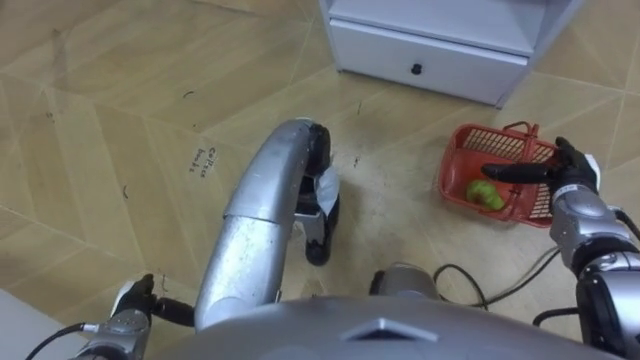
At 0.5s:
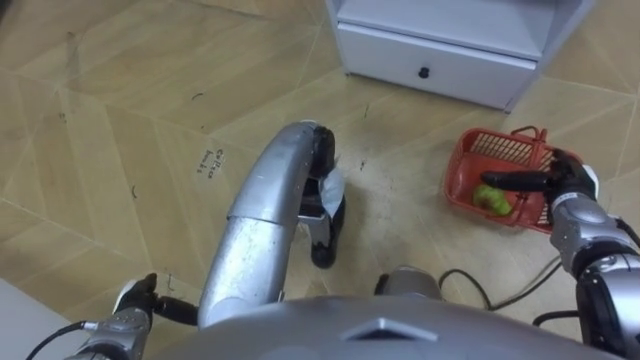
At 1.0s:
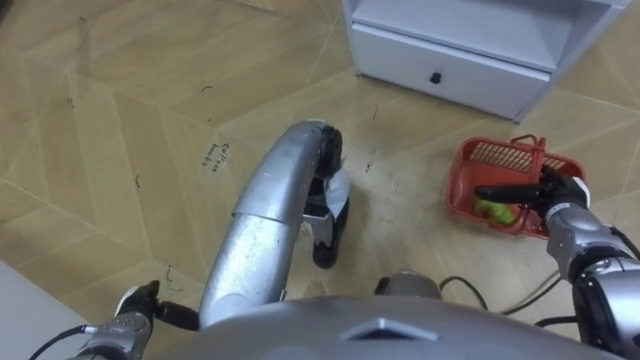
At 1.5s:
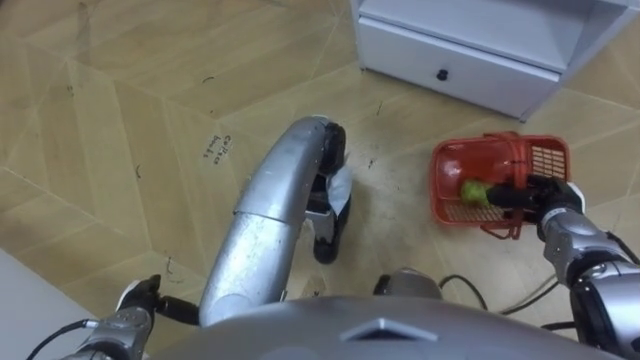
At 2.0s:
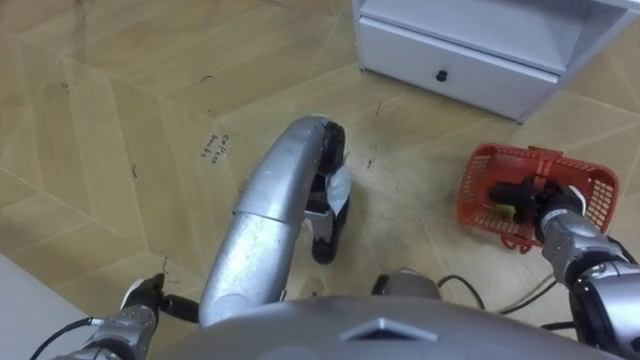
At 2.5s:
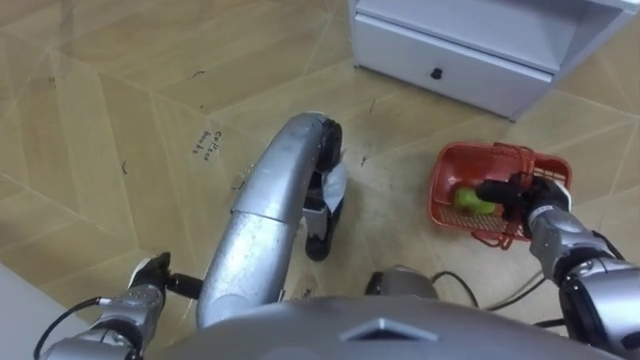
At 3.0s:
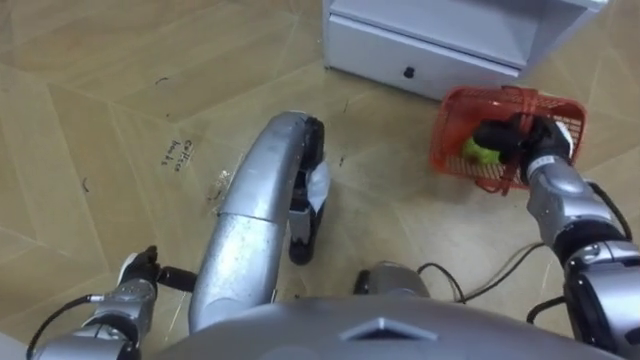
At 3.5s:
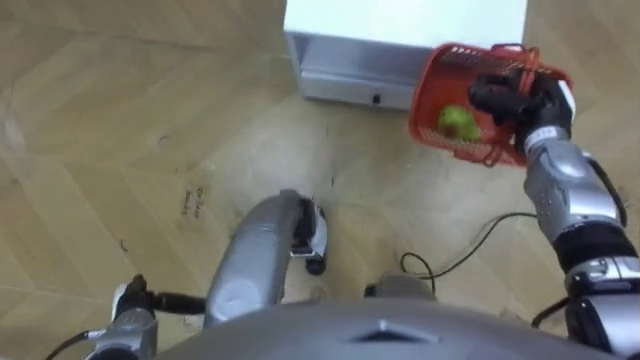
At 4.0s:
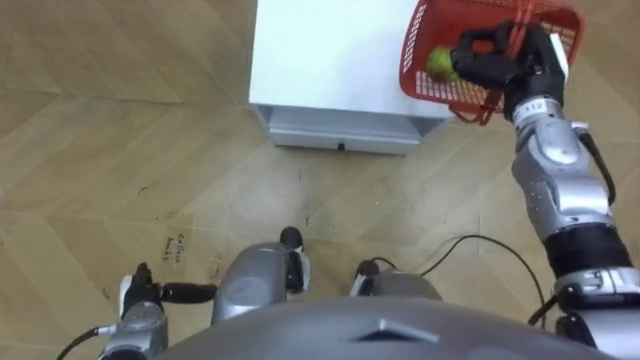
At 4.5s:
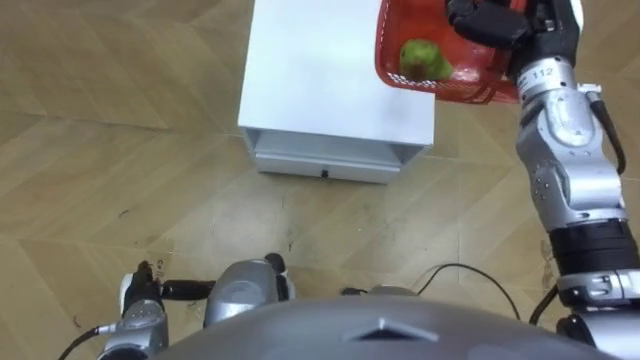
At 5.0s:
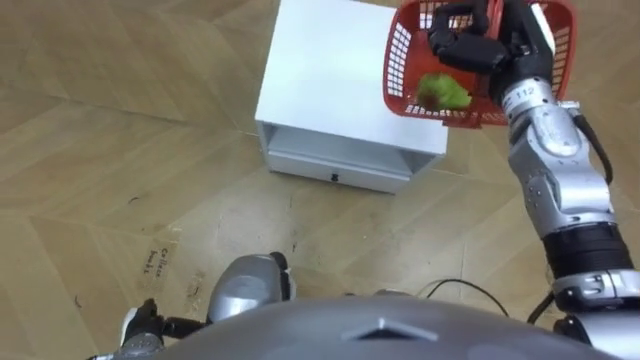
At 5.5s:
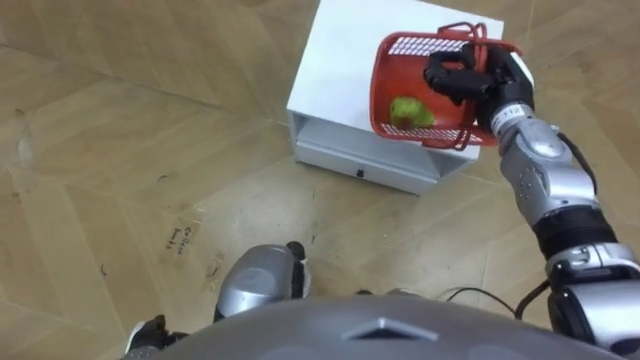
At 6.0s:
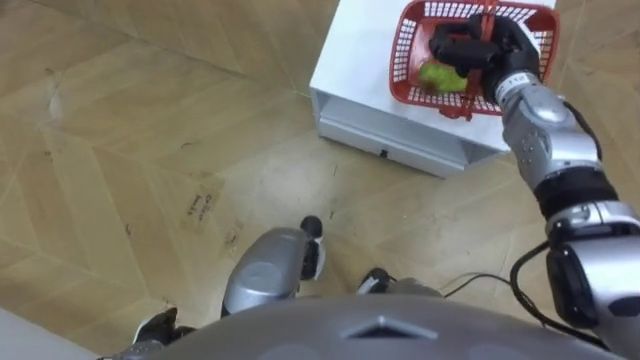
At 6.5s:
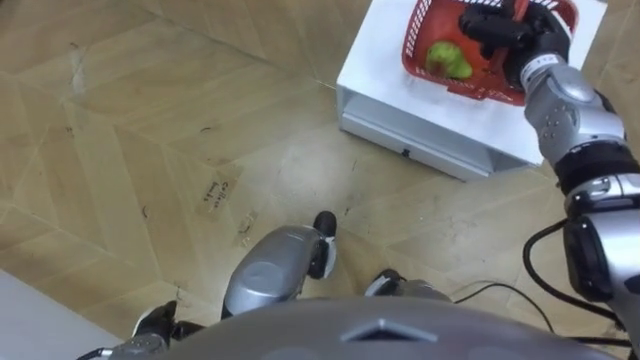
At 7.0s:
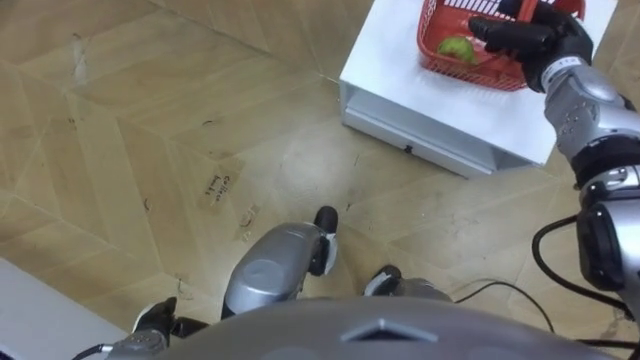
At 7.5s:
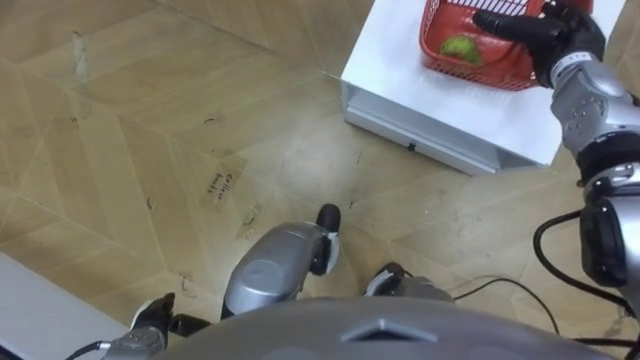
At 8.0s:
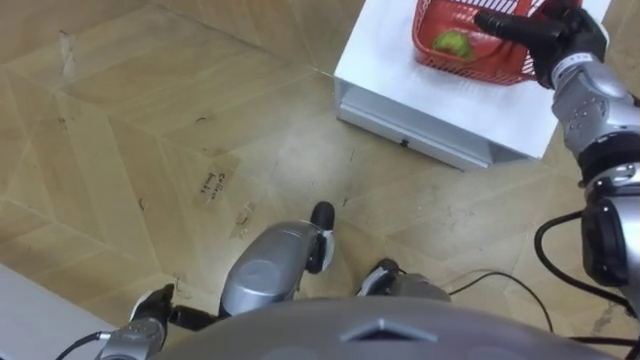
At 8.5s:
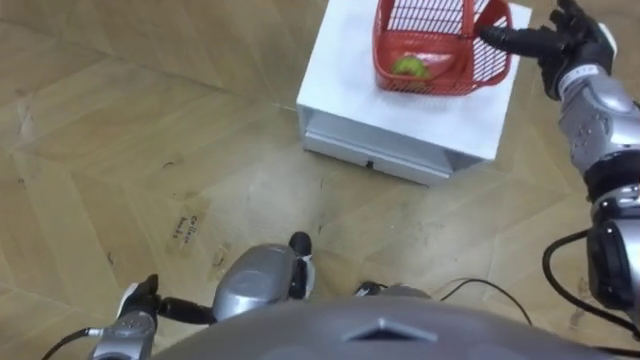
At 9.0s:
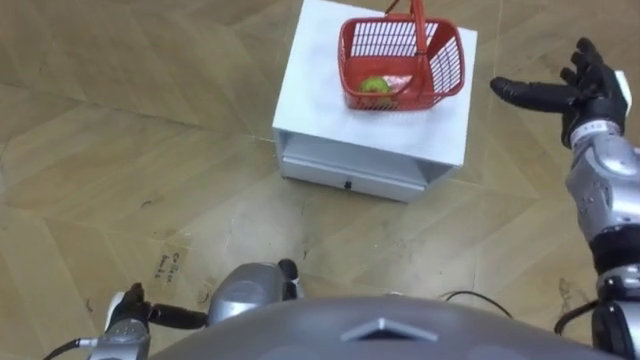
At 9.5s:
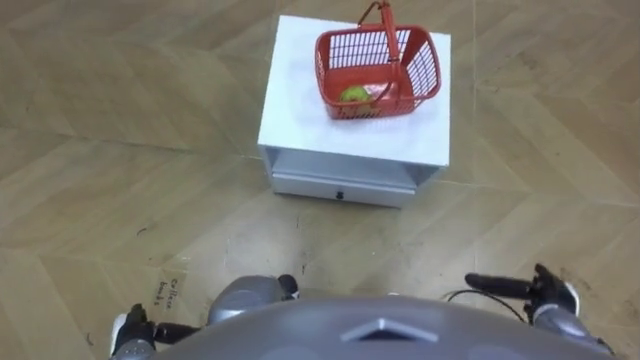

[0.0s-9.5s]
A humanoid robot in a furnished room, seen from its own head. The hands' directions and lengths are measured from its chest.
Task of the whole recording: Pick up the fruit basket from the floor and place it on the cabinet.
0.0s to 2.0s: The right hand closes up.
2.0s to 4.0s: The robot faces about 20 degrees further to its right. The right hand is displaced upward, forward and to the left by roughly 20 cm.
4.0s to 5.5s: The right hand reaches some 5 cm upward, then returns, while the left hand goes some 5 cm backward.
5.5s to 7.5s: The right hand shifts roughly 5 cm to the right, and opens up.
7.5s to 9.5s: The right hand goes some 35 cm backward and downward.

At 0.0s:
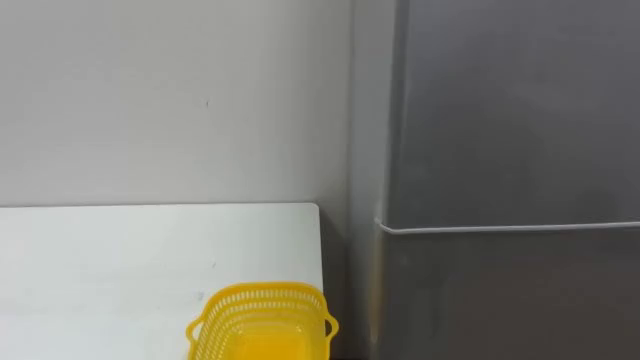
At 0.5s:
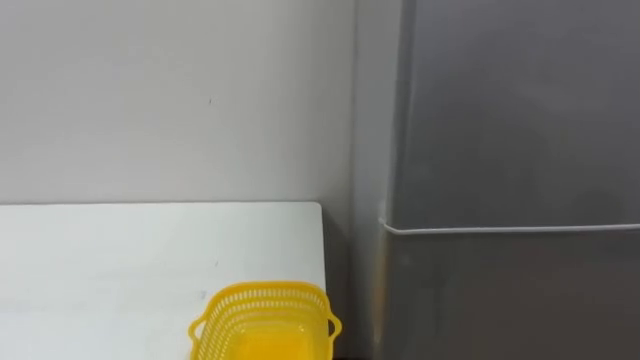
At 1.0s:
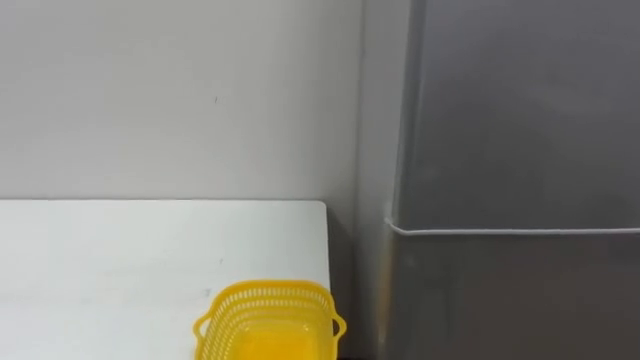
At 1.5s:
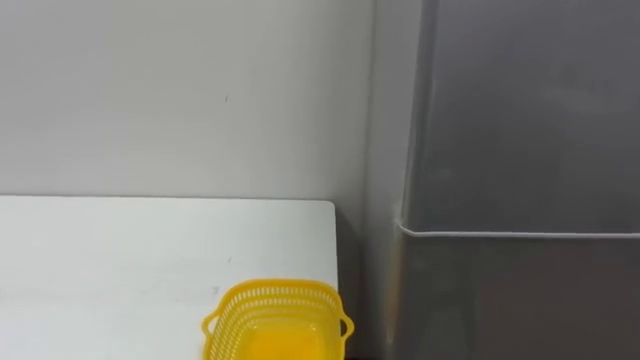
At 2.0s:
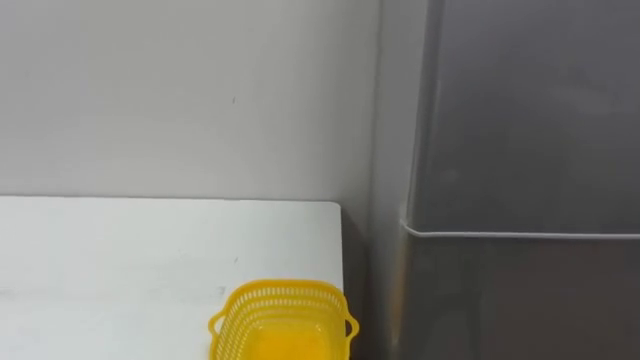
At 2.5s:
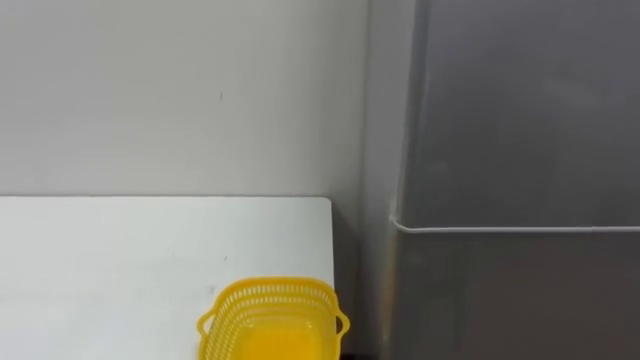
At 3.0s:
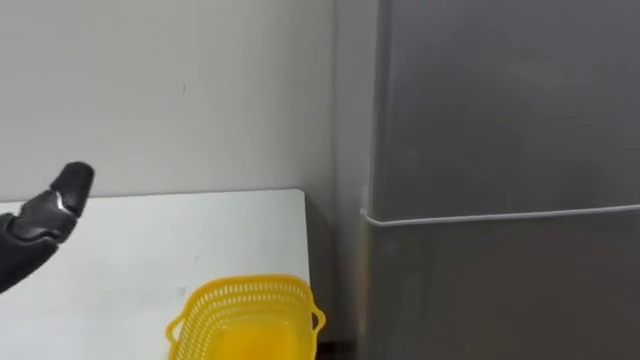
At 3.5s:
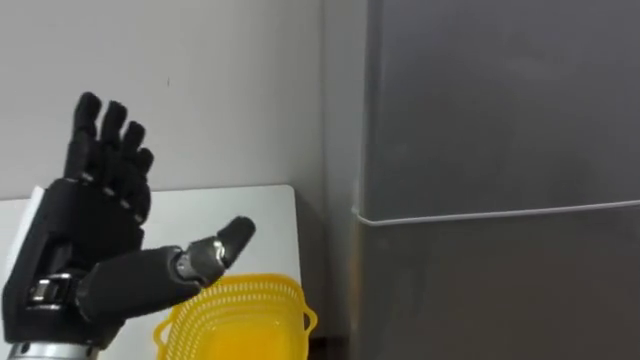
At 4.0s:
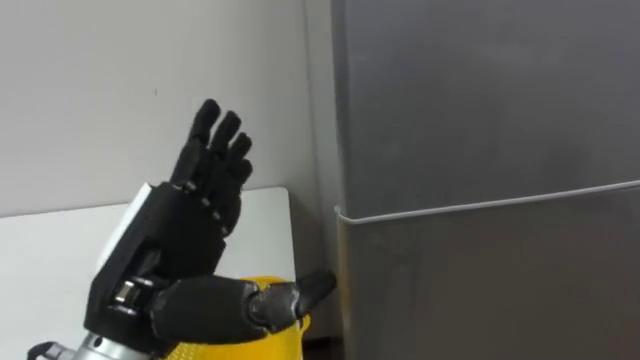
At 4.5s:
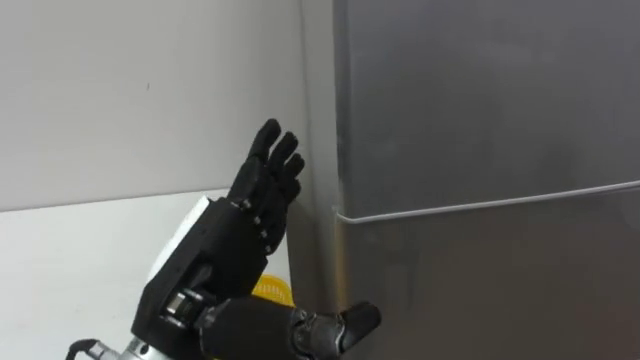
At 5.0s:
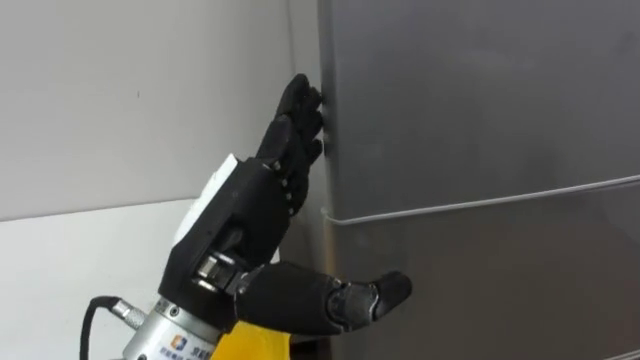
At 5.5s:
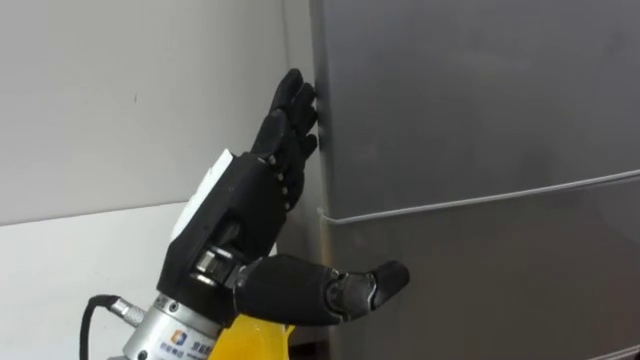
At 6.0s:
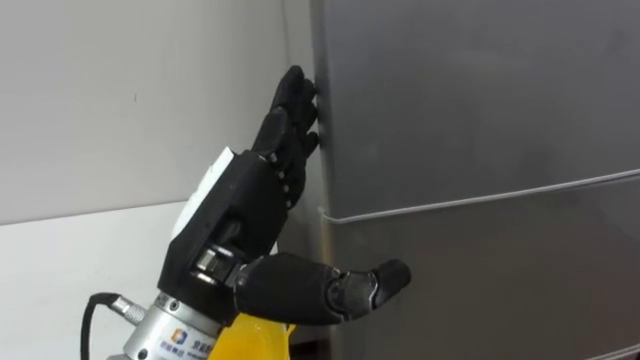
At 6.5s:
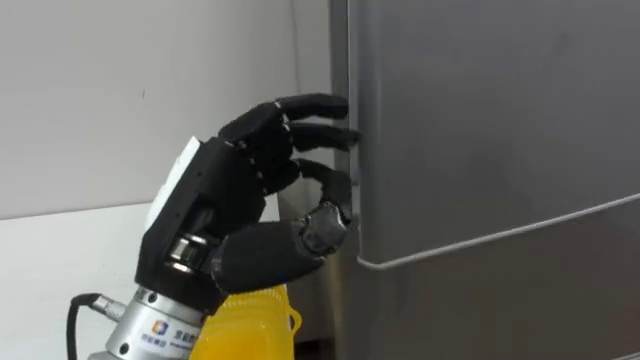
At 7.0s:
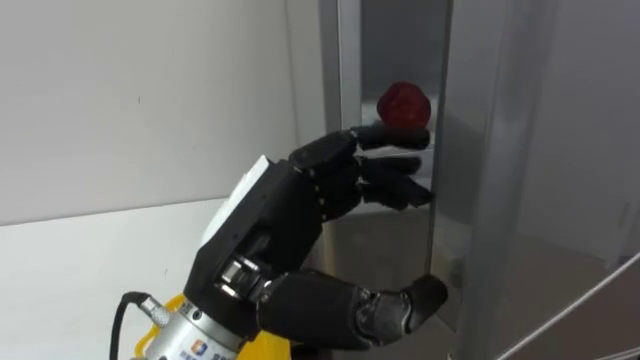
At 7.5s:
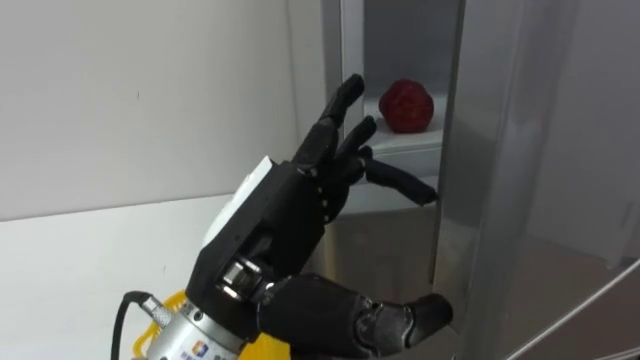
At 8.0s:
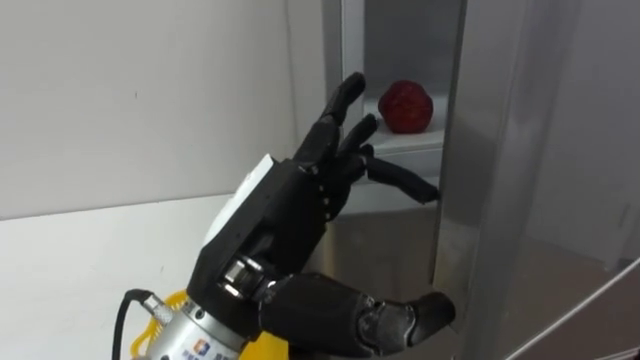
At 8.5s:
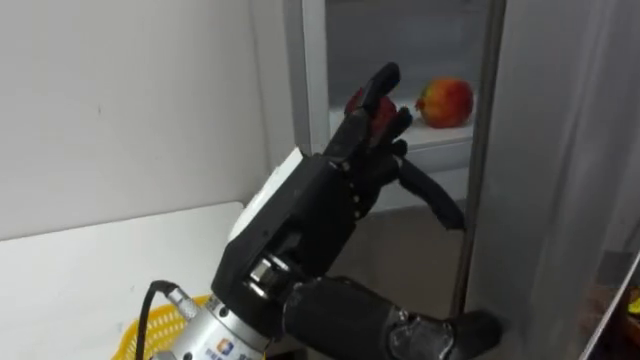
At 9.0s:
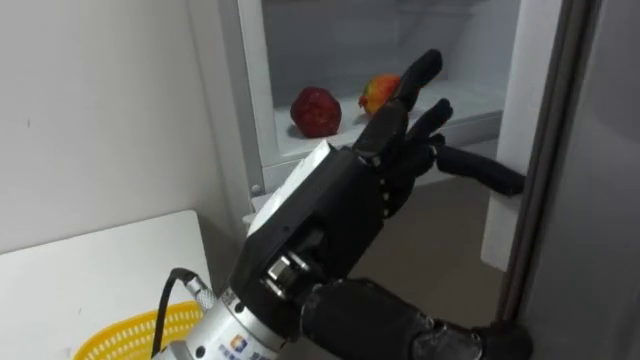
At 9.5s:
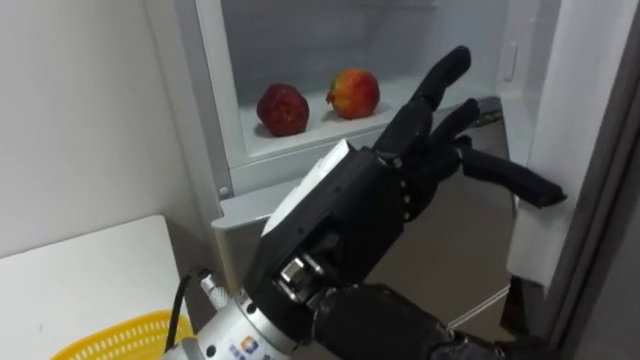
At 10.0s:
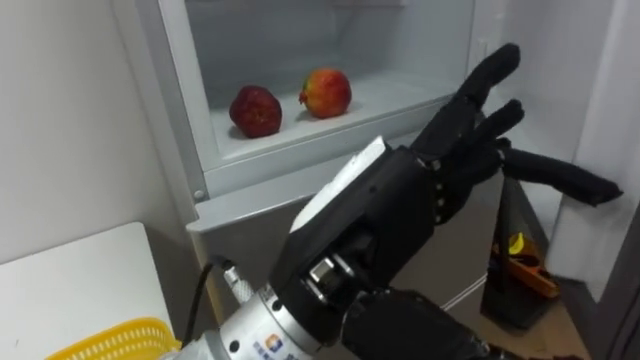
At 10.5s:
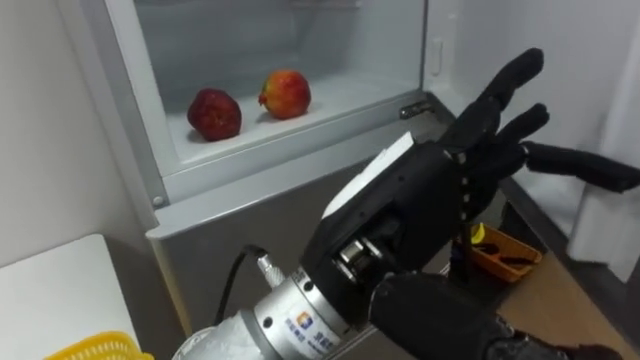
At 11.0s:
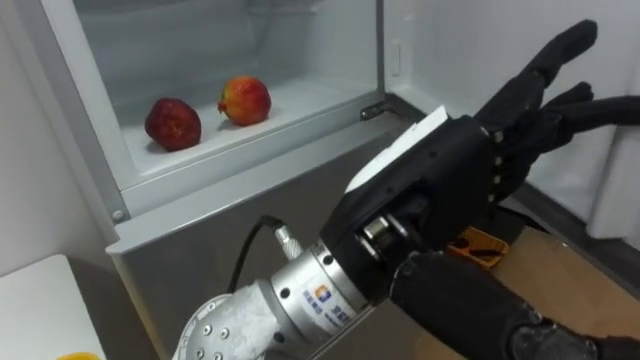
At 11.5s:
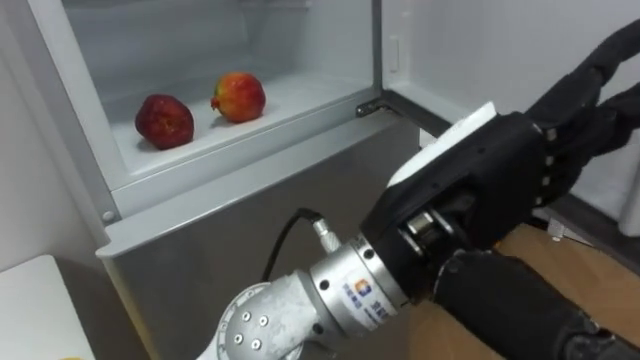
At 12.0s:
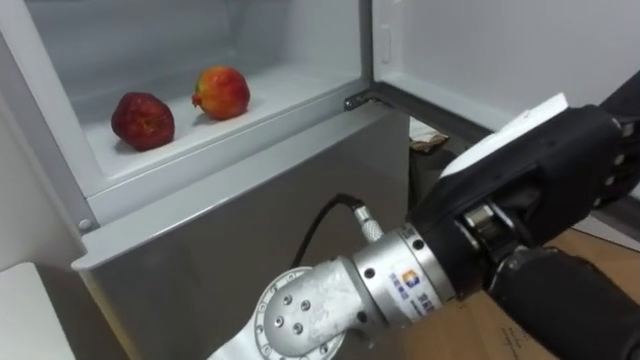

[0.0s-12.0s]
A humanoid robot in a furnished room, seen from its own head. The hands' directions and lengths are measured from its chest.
Task of the whole recording: Open the refrigerator door, take out the apple and the pomegranate, place them in the fruit basket on the left, and close the refrigerator door.
4.0s to 6.0s: The left hand is displaced to the right by approximately 5 cm.
6.0s to 8.0s: The left hand closes and opens again.
8.0s to 10.0s: The left hand goes roughly 5 cm to the right.
10.0s to 12.0s: The left hand travels to the right by approximately 10 cm.
